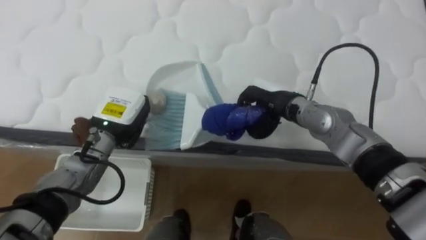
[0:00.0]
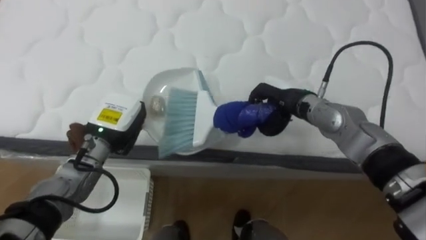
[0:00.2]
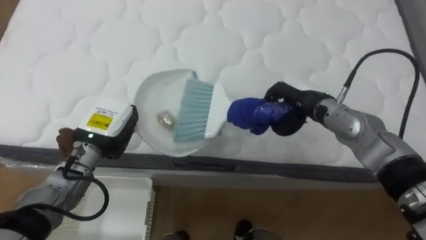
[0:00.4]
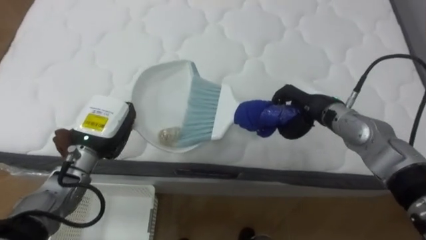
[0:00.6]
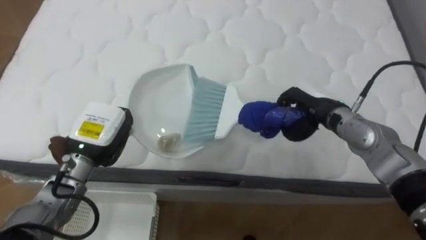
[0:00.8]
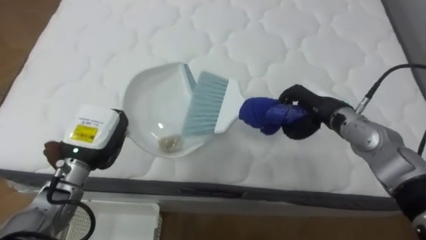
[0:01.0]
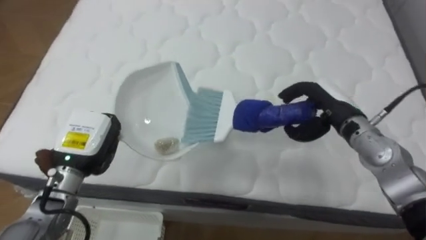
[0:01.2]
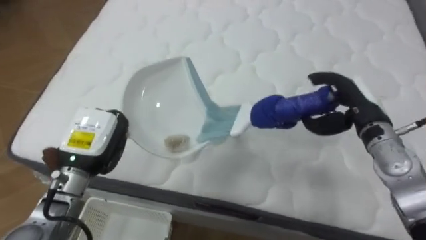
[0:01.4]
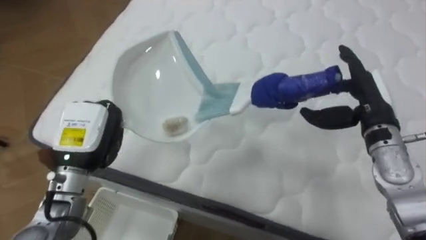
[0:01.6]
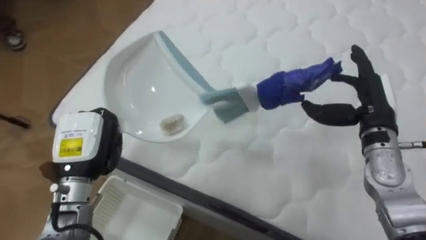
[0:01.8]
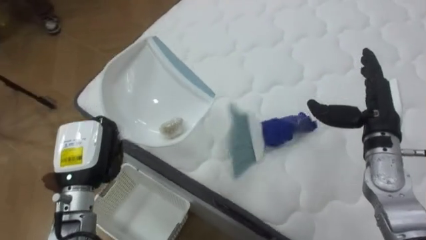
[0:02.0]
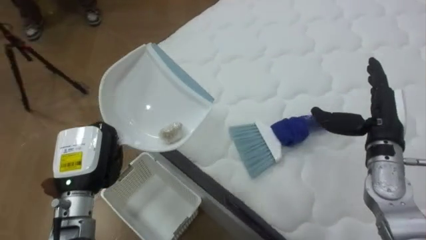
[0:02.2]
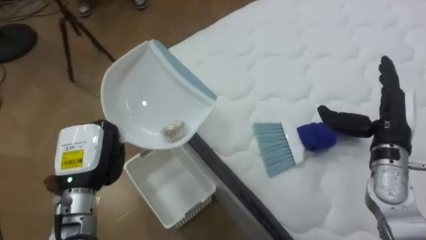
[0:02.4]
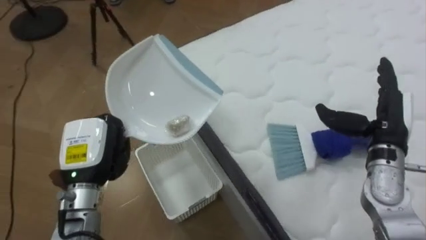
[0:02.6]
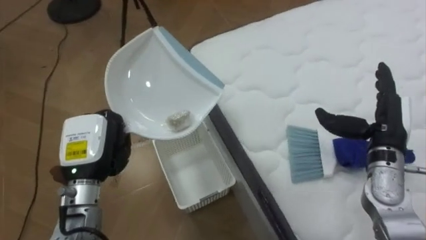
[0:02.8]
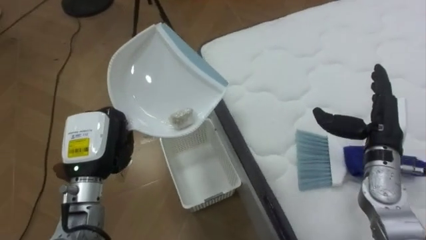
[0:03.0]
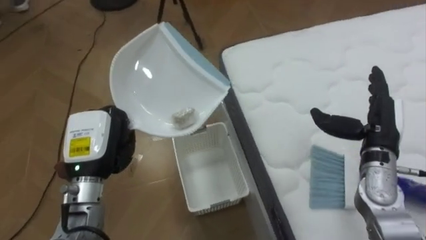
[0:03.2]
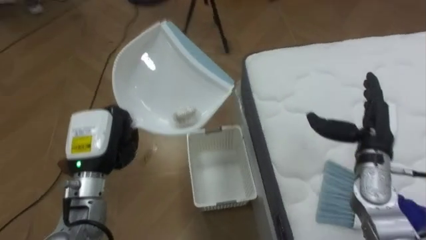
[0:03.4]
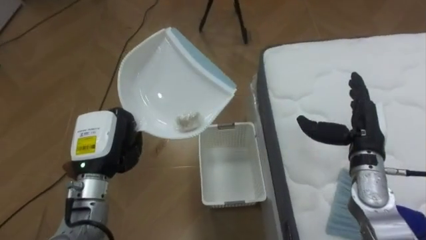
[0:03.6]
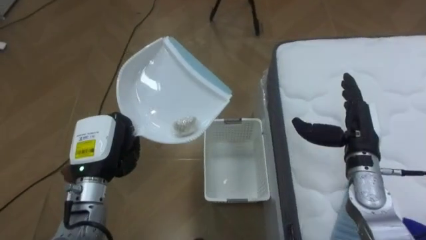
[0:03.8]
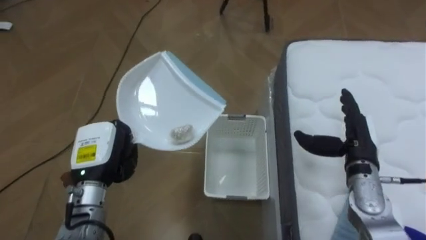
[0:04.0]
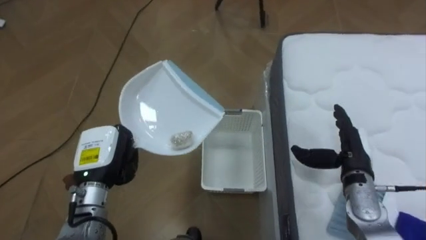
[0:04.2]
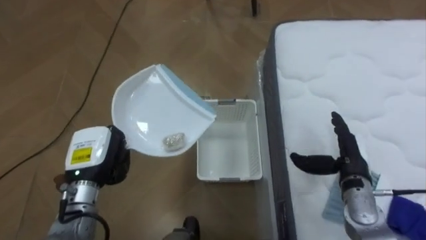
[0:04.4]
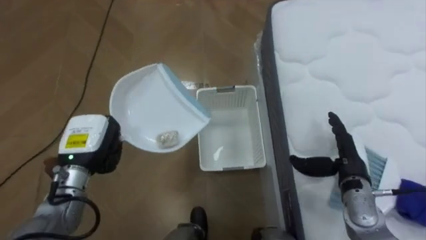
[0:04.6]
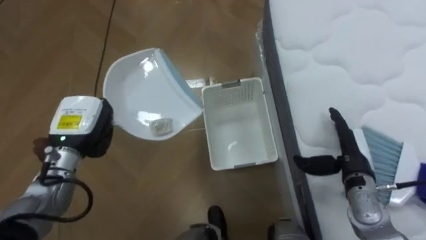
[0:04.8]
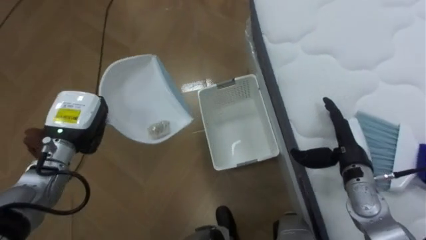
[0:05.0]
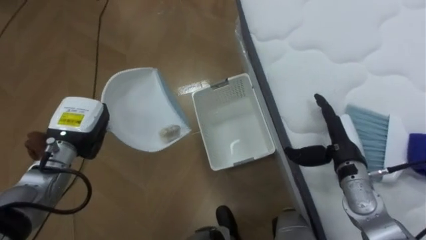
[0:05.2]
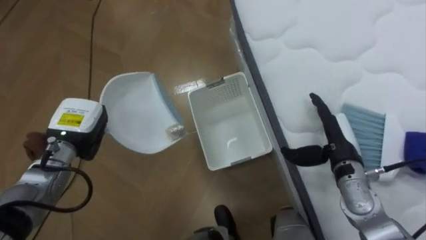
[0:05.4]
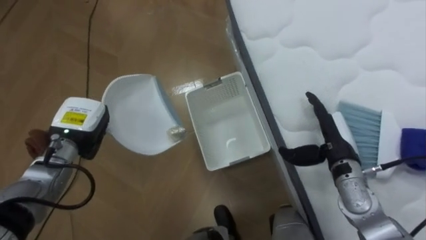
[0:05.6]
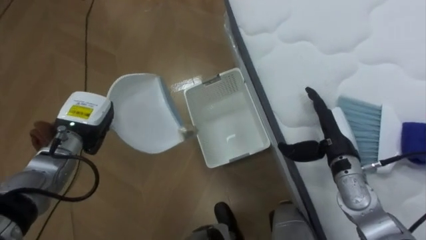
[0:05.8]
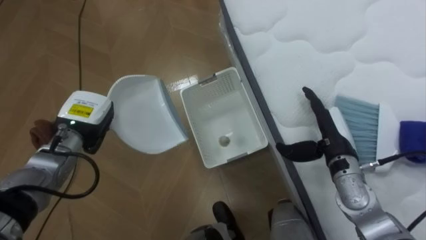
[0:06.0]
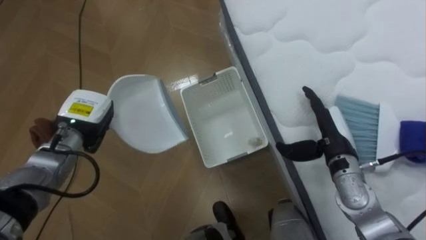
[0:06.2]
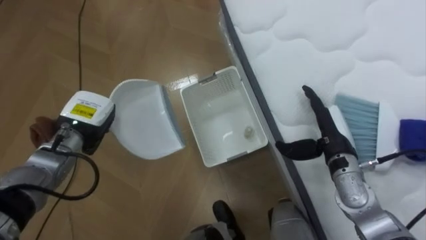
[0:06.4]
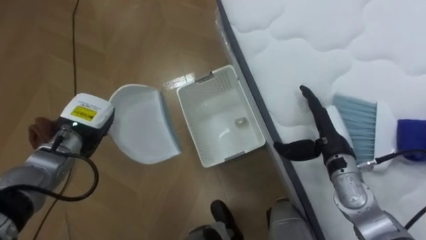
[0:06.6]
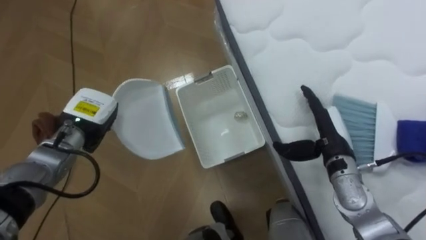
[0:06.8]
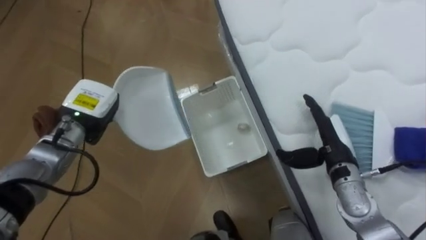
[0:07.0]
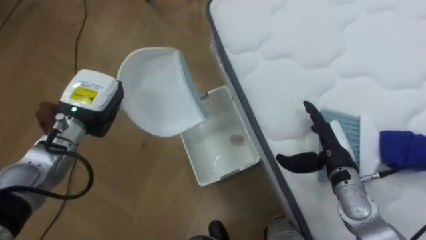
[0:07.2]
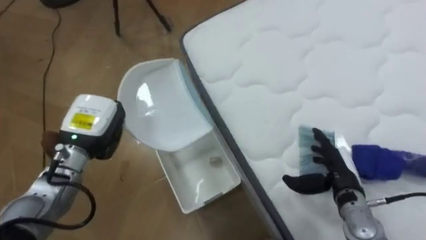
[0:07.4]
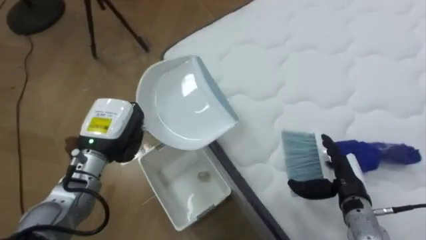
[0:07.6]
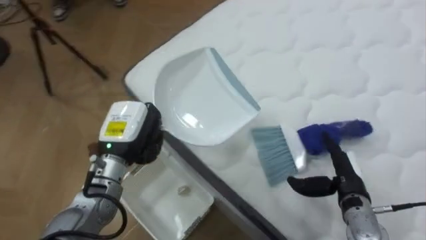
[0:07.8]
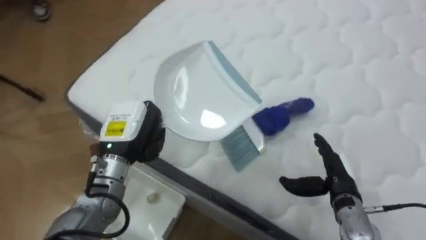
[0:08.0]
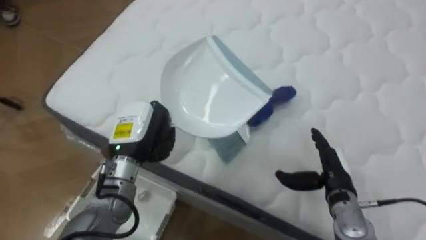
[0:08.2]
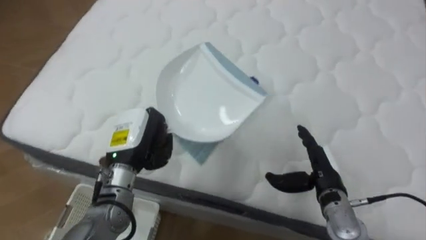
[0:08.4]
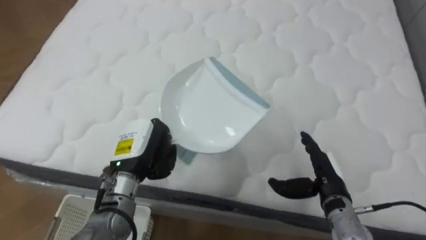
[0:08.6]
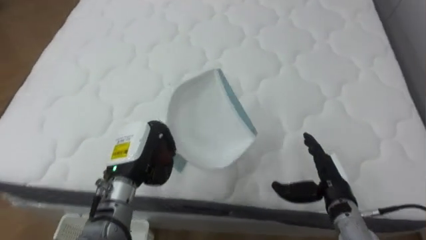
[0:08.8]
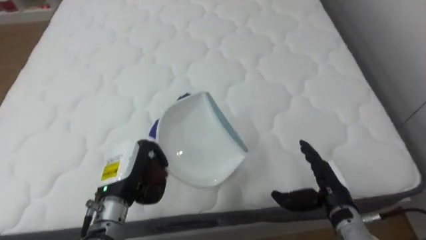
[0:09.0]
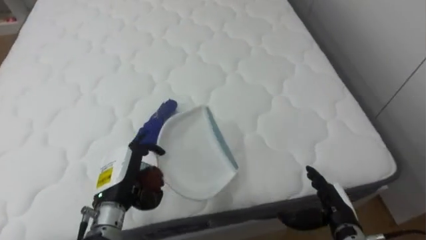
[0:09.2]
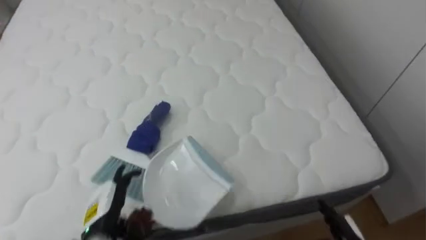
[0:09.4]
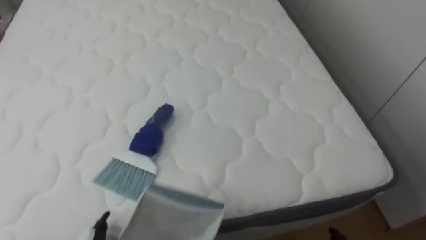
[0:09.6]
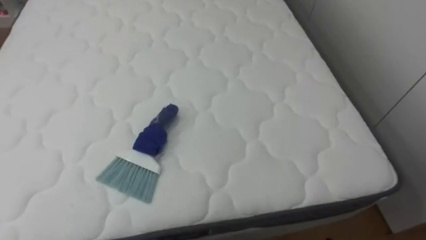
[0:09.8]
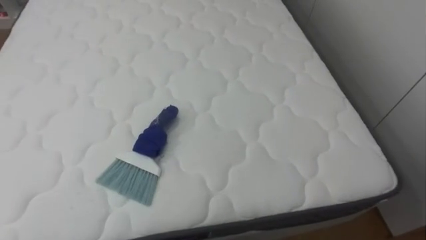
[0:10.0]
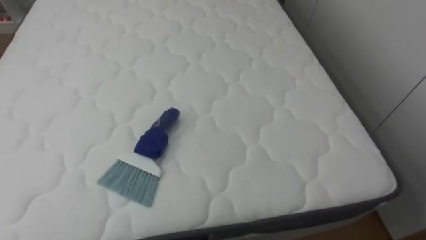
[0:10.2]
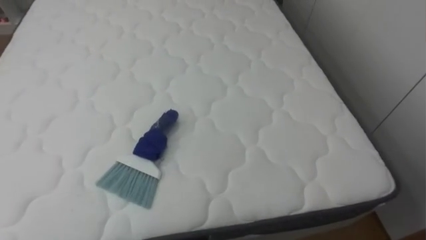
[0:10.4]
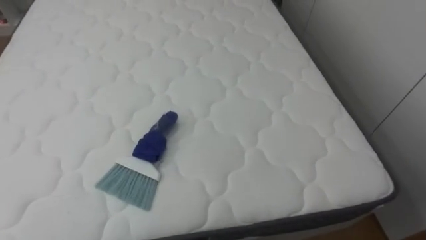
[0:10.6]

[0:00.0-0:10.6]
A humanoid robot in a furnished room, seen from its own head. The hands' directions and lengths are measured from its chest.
Task of the whole recording: Pick up the brush on your right and the dustpan on your left. Use the brush to sweep the crumpled paper on the bed into the dustpan, then turn left and empty it into the basket.
0:00.0 to 0:01.6: The robot faces approximately 15 degrees further to its left. The left hand heads backward, covering some 5 cm. The right hand goes about 15 cm to the right, and opens its fingers.
0:01.6 to 0:03.0: The robot faces approximately 50 degrees further to its left. The right hand ends up approximately 5 cm from where it was.
0:03.0 to 0:04.6: The robot faces roughly 30 degrees further to its left. The left hand shifts by roughly 5 cm, while the right hand moves downward, roughly 10 cm.
0:04.6 to 0:06.0: The right hand shifts by roughly 5 cm. The left hand goes approximately 5 cm forward.
0:06.0 to 0:07.6: The robot faces approximately 25 degrees further to its right. The right hand heads downward and backward, covering some 10 cm, while the left hand goes approximately 5 cm to the right.
0:07.6 to 0:09.0: The robot faces some 70 degrees further to its right. The left hand goes approximately 10 cm backward and downward, and opens.

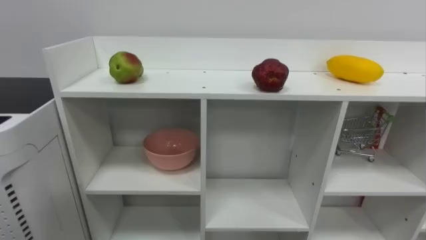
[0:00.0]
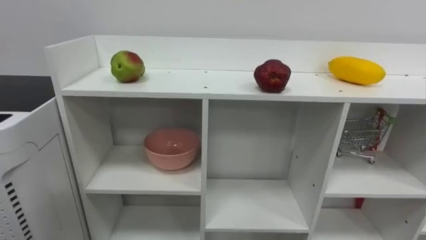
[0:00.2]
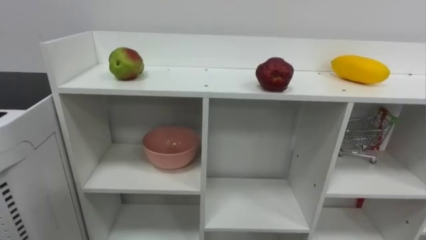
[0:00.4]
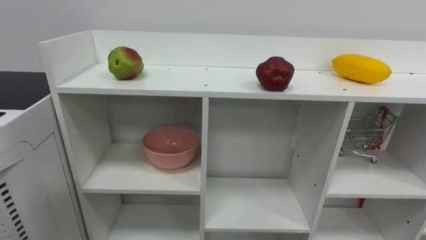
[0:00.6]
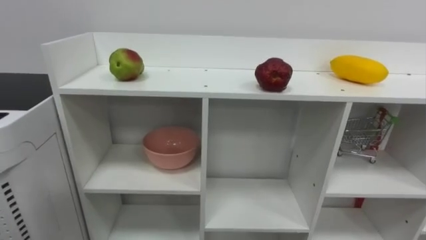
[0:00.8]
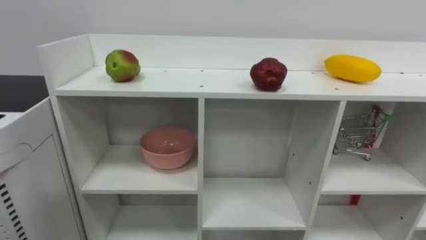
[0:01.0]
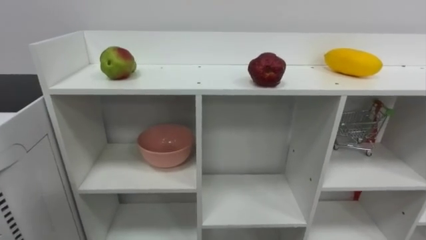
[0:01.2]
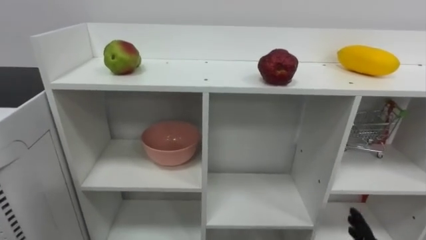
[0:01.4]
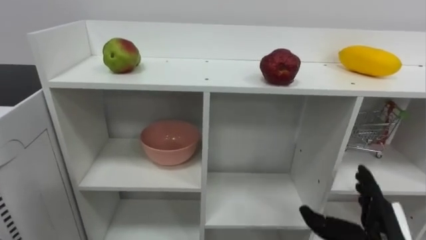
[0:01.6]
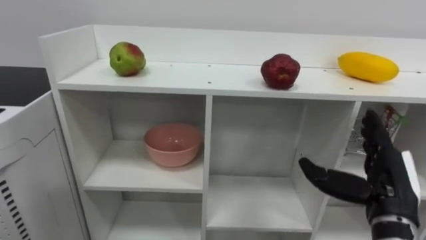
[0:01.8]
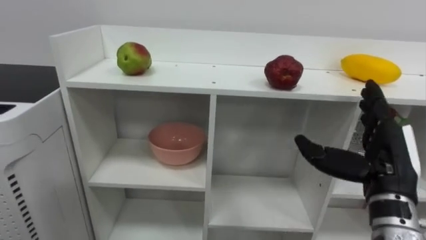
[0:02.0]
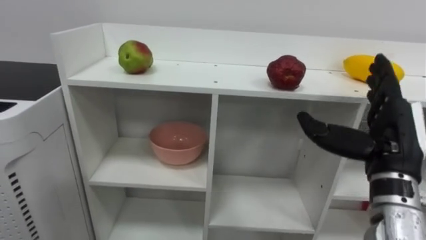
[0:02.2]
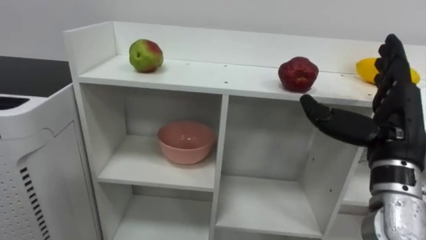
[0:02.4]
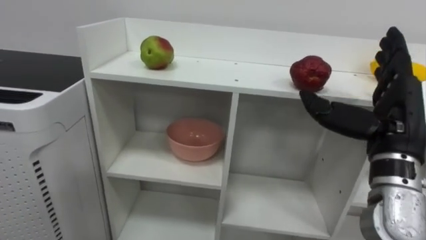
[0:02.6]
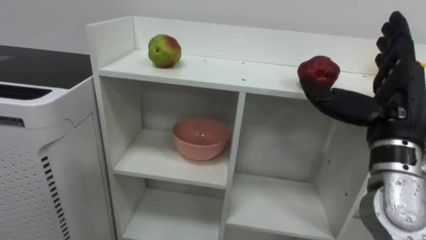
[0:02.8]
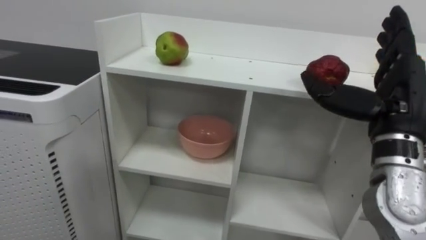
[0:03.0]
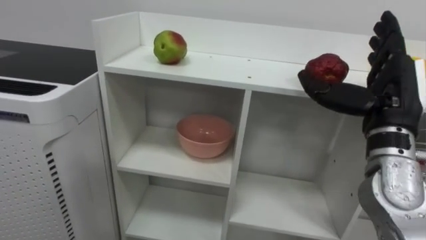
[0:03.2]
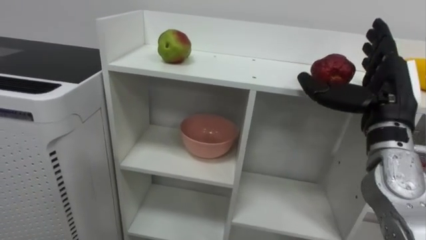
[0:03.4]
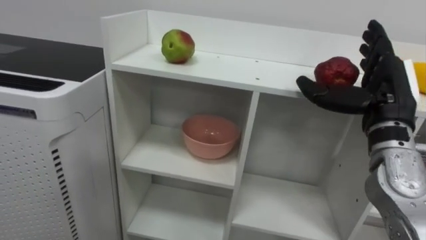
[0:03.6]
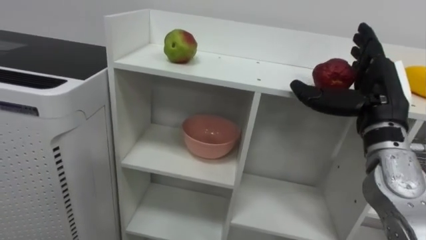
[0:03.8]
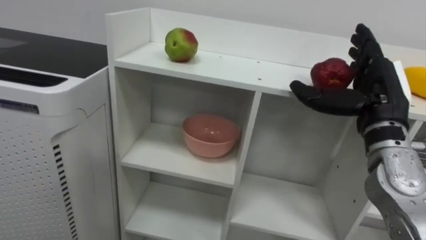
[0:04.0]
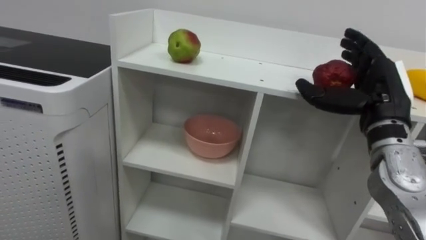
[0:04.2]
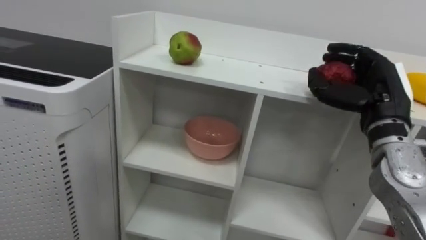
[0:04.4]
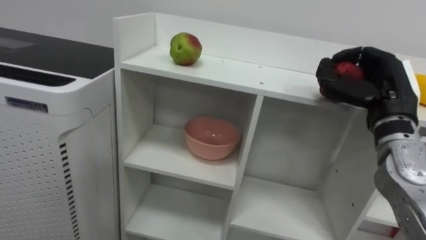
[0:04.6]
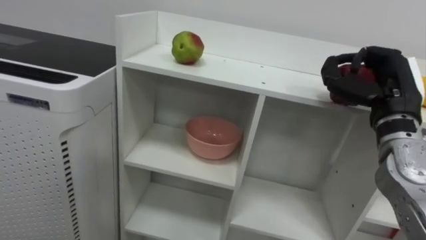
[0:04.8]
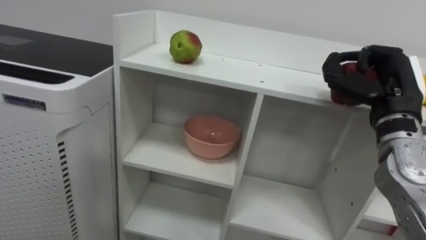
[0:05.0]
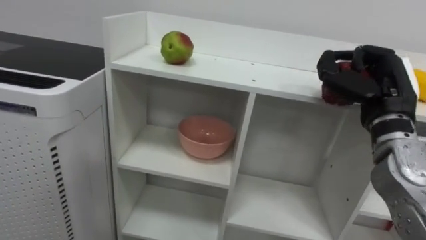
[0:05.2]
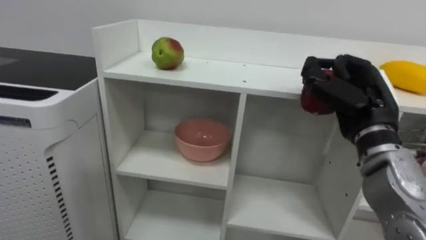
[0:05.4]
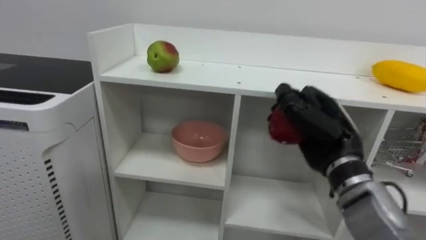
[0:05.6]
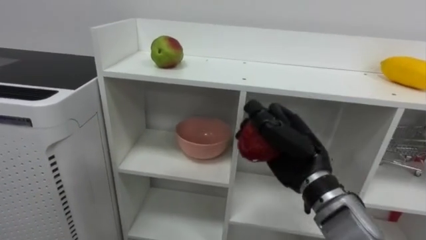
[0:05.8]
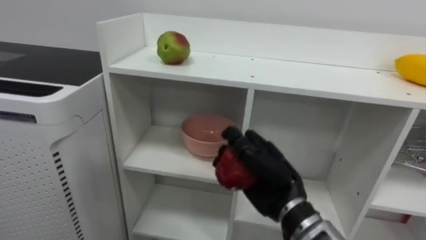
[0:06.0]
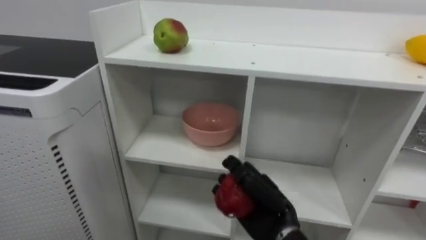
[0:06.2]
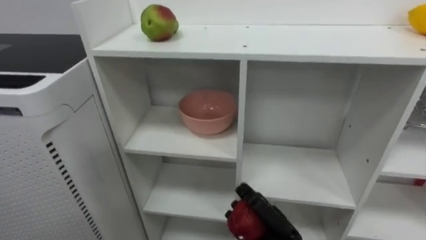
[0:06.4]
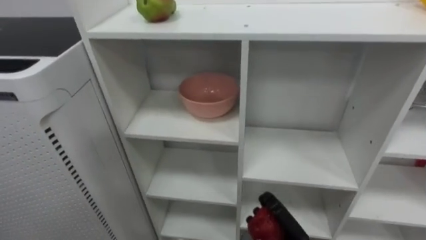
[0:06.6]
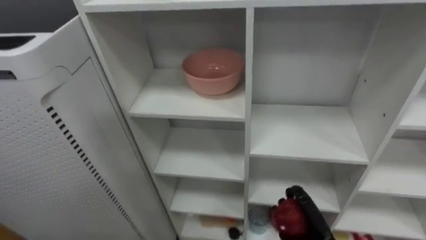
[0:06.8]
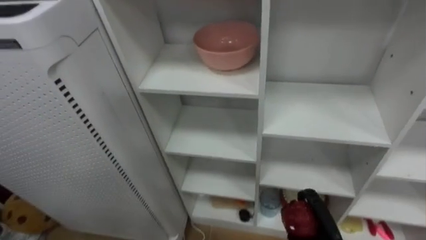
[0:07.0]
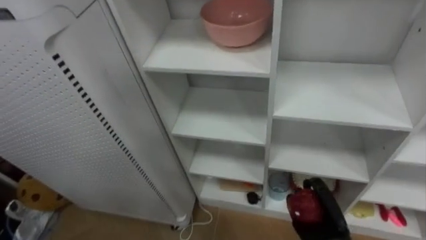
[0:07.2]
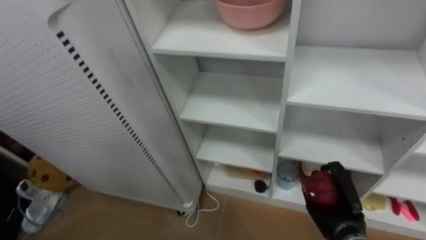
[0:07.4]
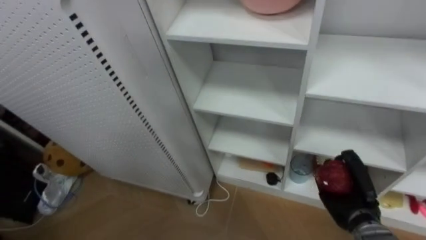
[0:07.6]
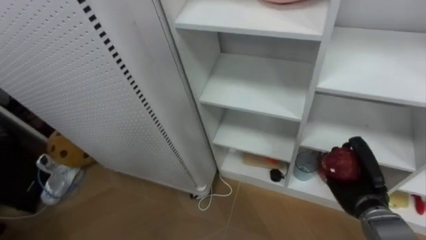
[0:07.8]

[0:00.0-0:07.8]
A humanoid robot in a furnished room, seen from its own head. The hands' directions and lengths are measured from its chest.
Task of the whole recording: Put the apple in the cell in the second column from the left and the second row from the top.
0:03.2 to 0:04.6: The right hand closes.
0:04.6 to 0:06.2: The right hand travels to the left and downward by approximately 25 cm.
